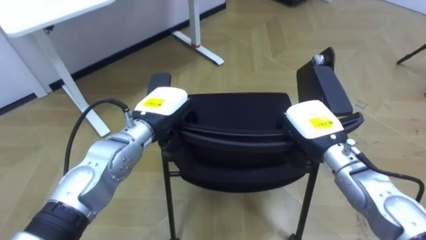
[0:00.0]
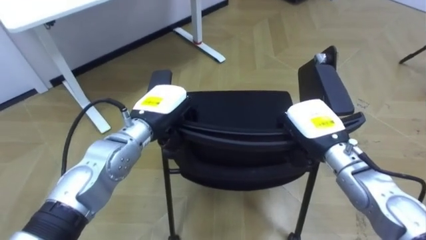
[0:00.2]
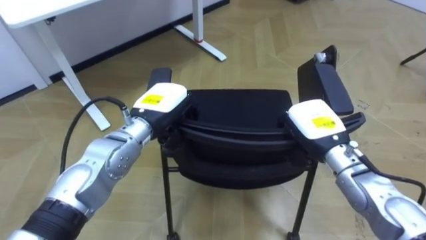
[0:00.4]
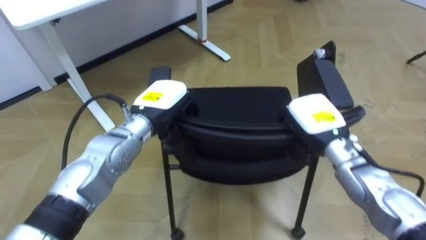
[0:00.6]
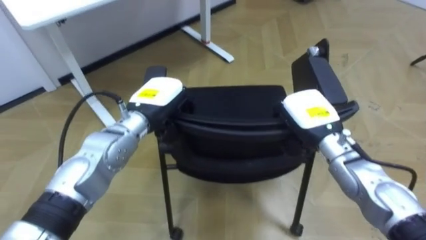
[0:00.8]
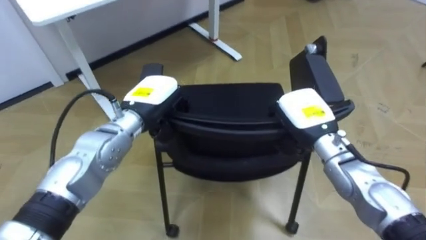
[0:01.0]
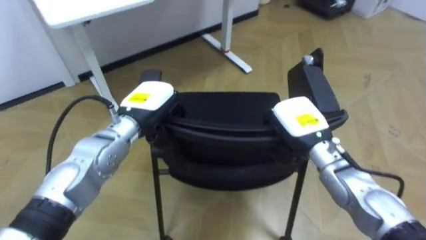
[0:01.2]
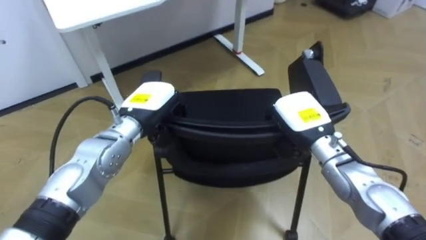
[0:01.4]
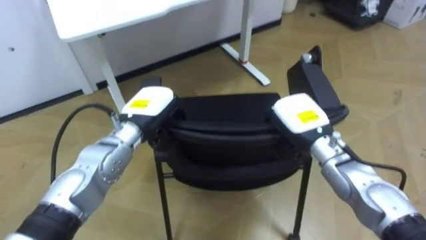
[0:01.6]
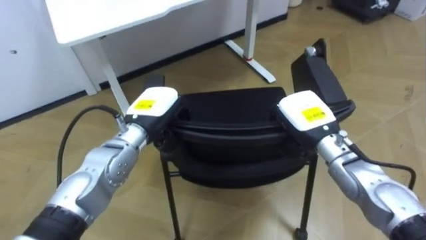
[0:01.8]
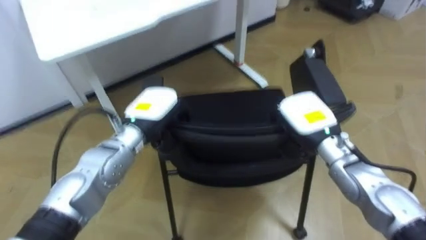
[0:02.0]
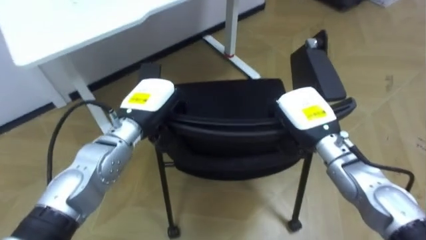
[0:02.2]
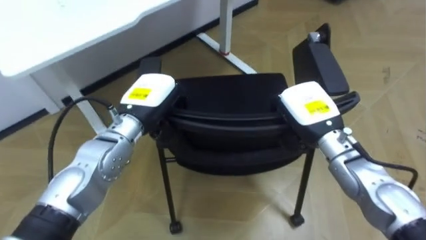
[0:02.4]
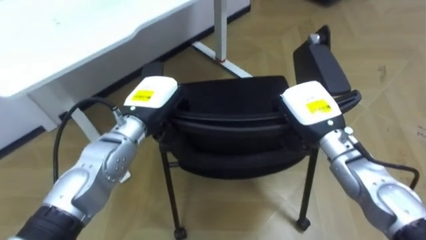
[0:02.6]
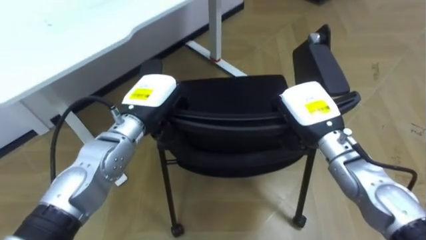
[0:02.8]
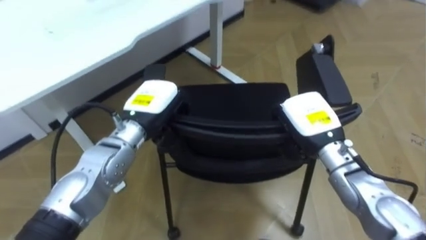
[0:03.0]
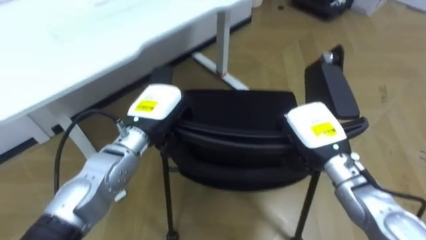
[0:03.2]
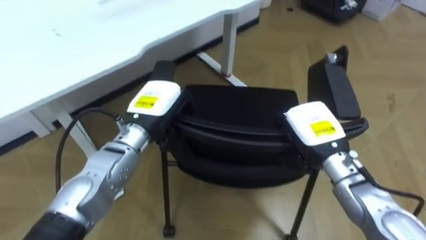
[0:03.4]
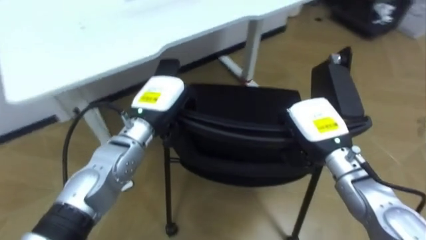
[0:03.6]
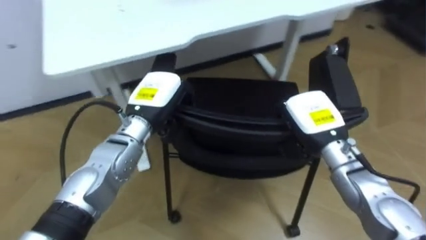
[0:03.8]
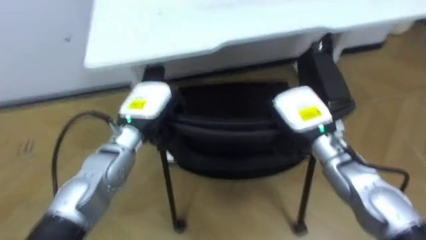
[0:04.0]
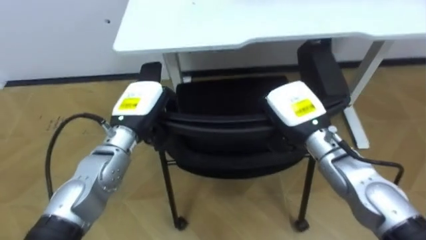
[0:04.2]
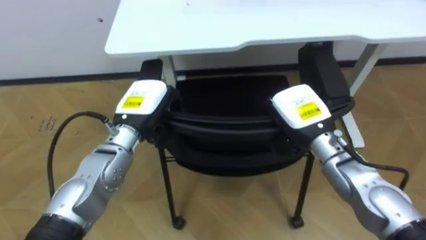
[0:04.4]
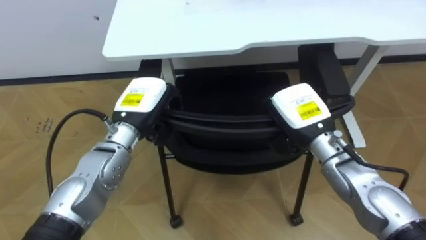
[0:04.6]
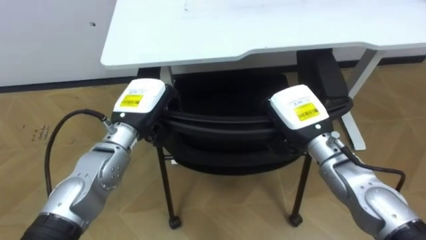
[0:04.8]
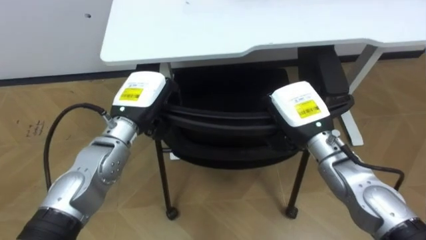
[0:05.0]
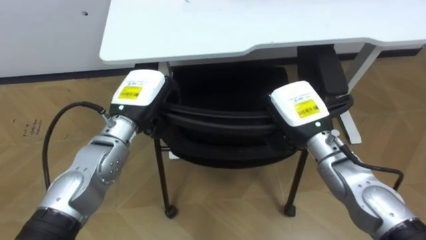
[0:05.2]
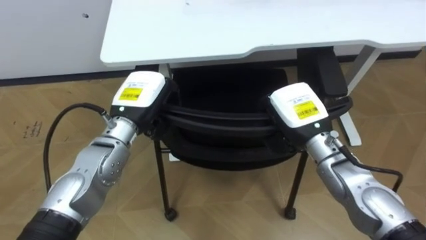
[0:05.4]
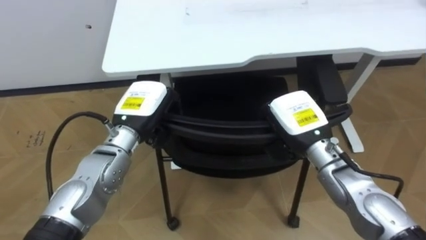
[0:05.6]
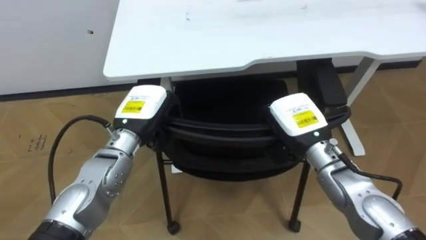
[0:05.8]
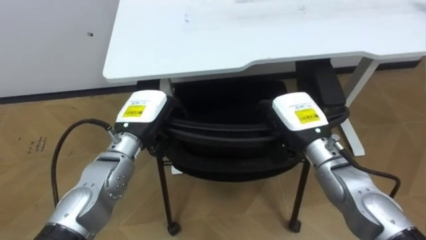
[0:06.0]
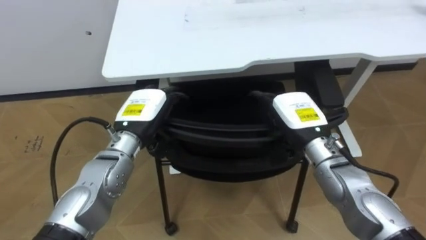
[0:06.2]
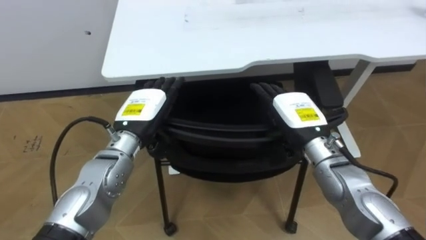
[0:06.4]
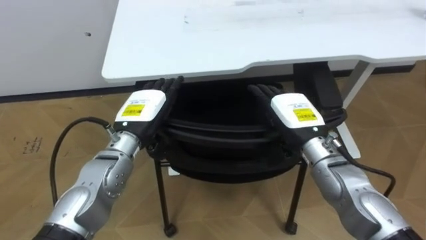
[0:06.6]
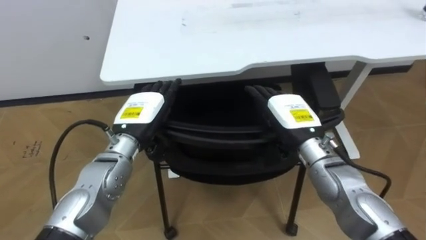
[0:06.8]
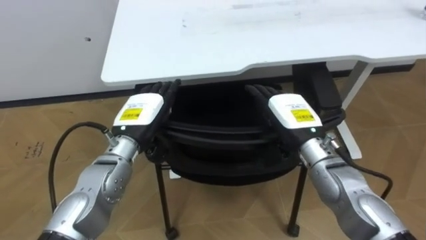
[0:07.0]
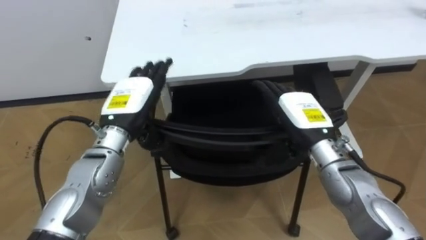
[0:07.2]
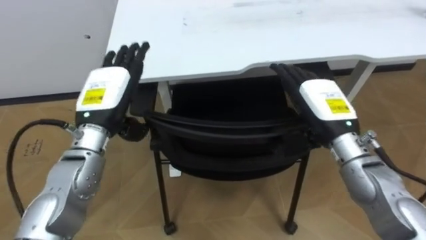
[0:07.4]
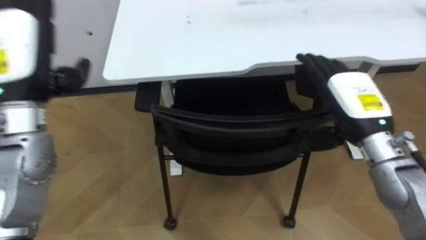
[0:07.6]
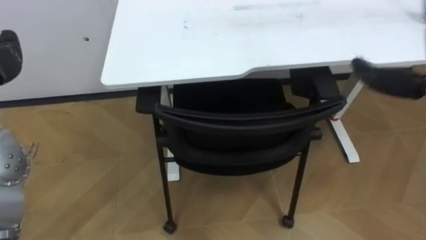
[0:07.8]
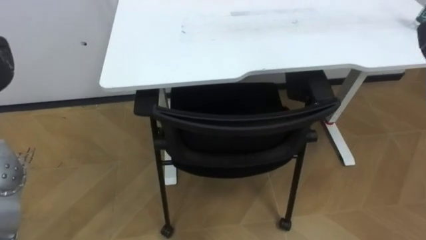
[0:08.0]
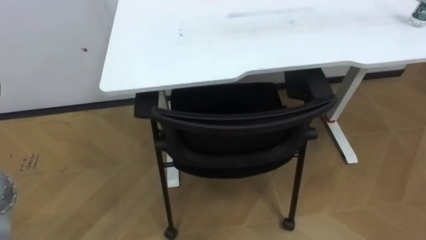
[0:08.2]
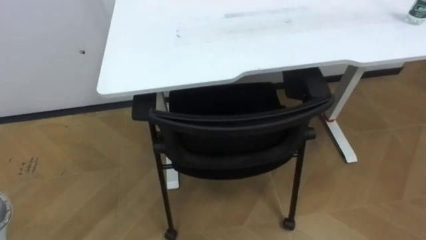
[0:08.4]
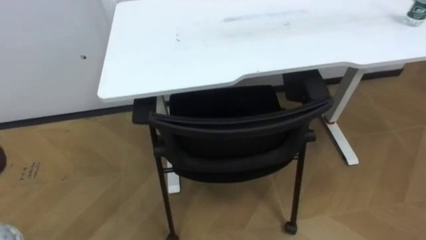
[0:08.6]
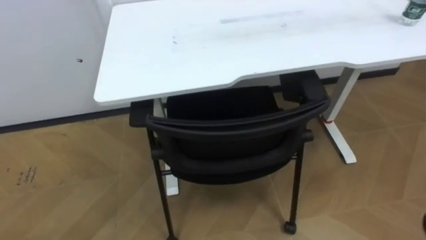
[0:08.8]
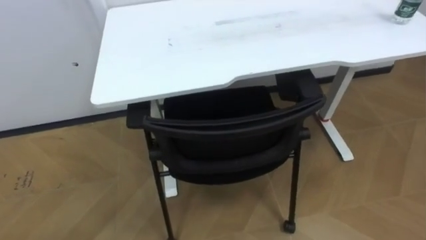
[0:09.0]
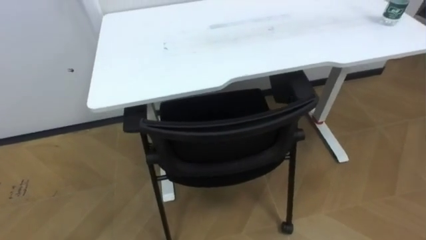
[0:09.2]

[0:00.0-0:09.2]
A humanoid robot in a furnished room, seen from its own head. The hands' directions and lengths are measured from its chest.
Task of the whole recording: Push the chair under the table.
3.0 to 4.6 s: The robot's body swings roughly 40 degrees to its left.
4.6 to 6.2 s: The right hand opens. The left hand opens.
6.2 to 7.6 s: The left hand moves upward and to the left, some 20 cm. Meanwhile the right hand goes about 10 cm to the right and upward.

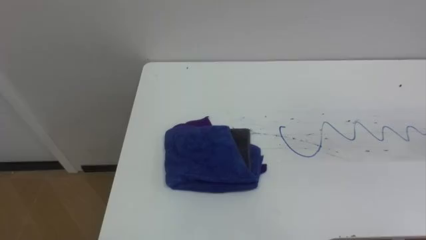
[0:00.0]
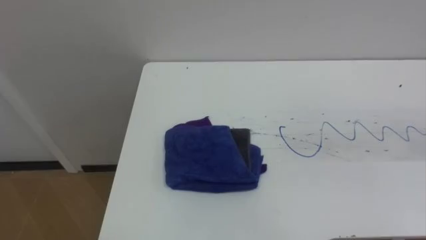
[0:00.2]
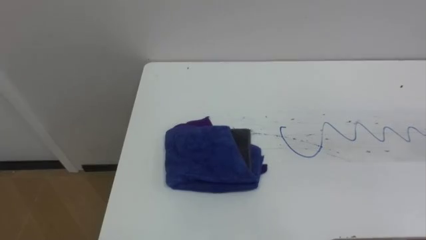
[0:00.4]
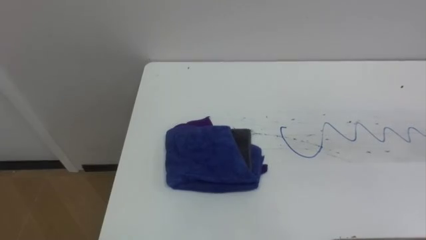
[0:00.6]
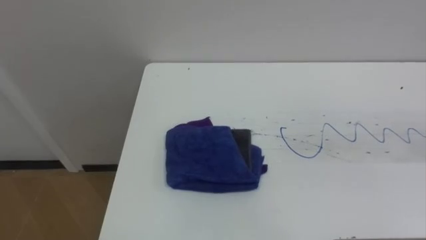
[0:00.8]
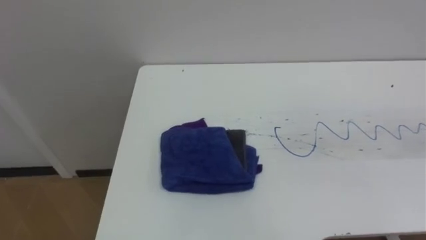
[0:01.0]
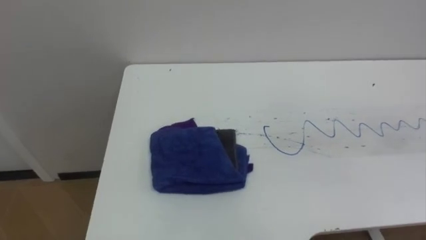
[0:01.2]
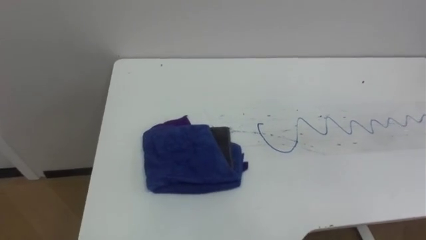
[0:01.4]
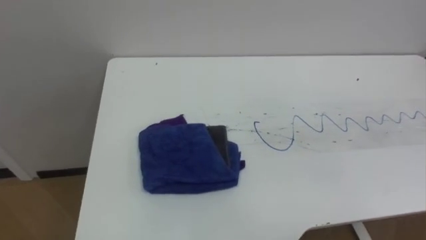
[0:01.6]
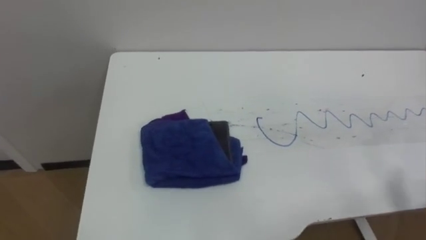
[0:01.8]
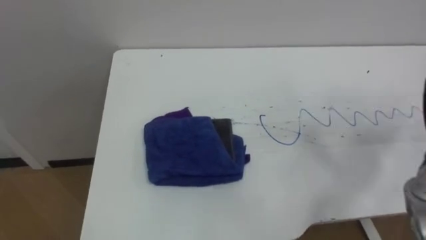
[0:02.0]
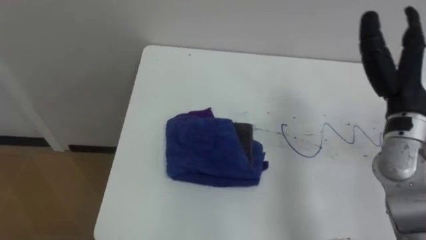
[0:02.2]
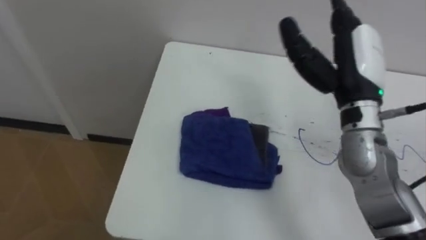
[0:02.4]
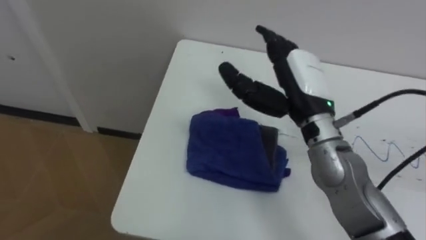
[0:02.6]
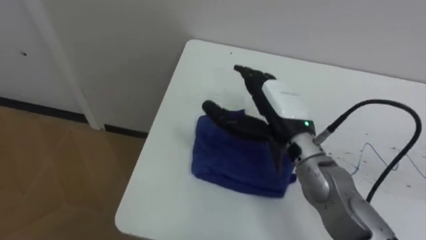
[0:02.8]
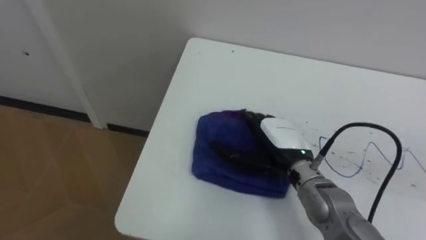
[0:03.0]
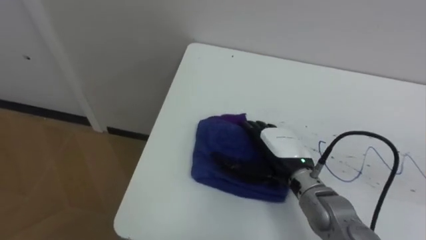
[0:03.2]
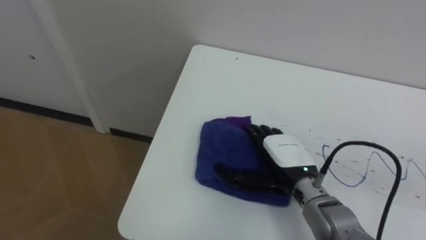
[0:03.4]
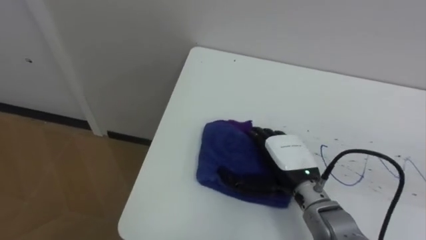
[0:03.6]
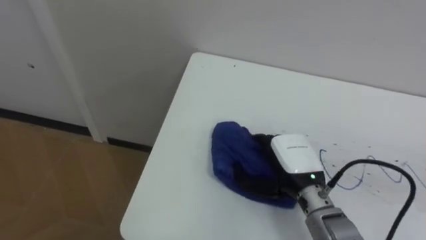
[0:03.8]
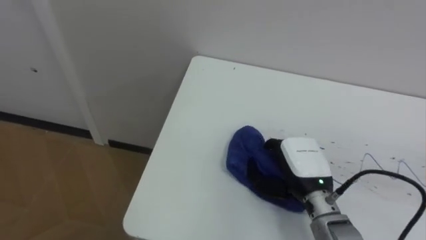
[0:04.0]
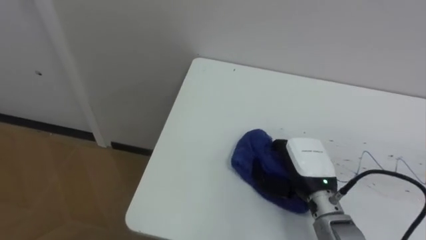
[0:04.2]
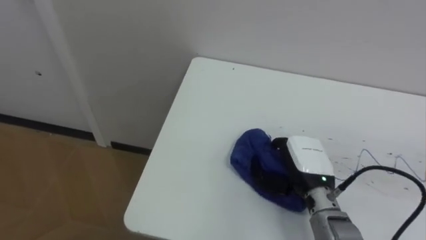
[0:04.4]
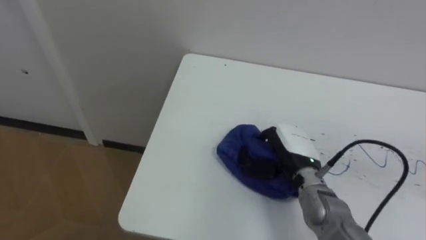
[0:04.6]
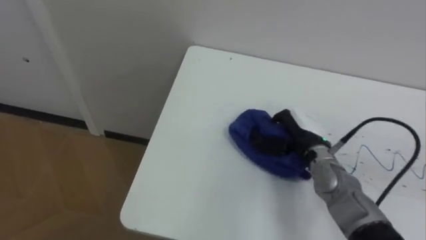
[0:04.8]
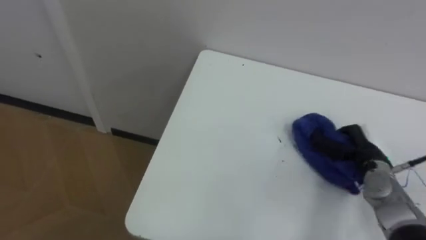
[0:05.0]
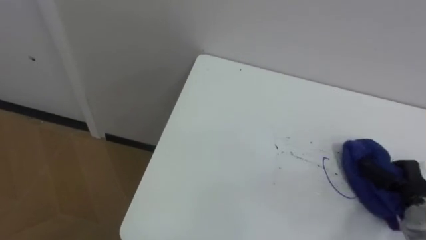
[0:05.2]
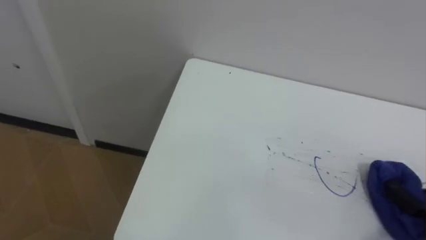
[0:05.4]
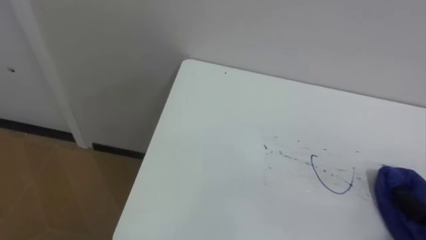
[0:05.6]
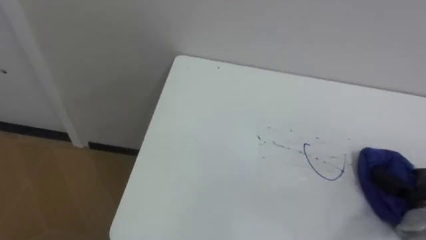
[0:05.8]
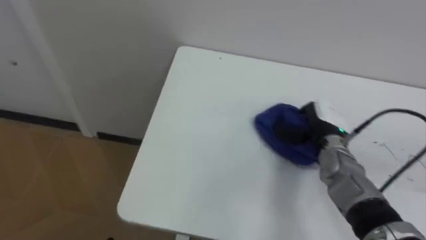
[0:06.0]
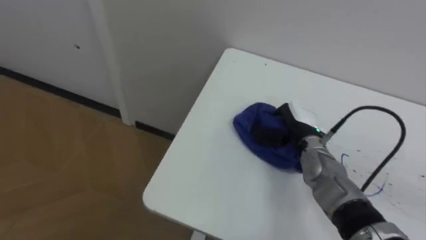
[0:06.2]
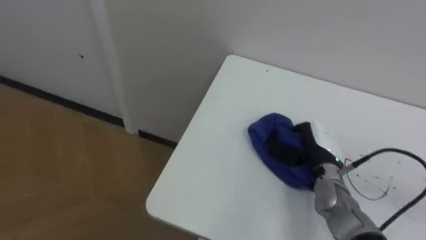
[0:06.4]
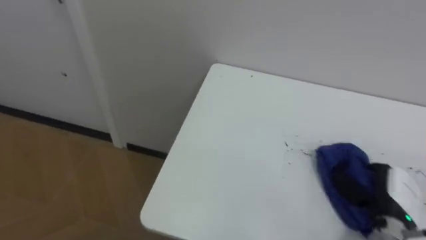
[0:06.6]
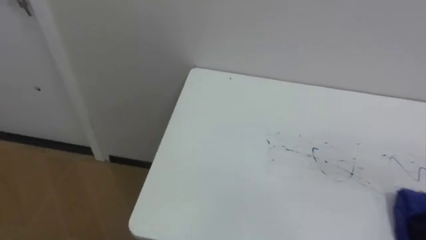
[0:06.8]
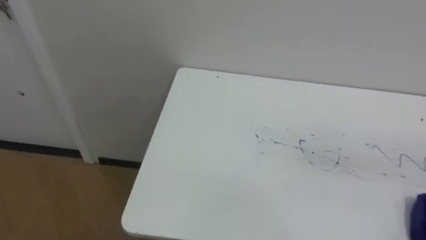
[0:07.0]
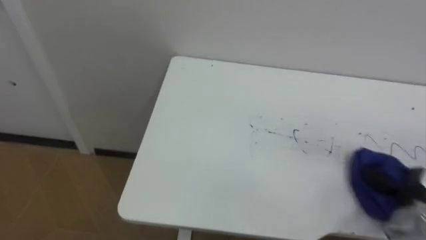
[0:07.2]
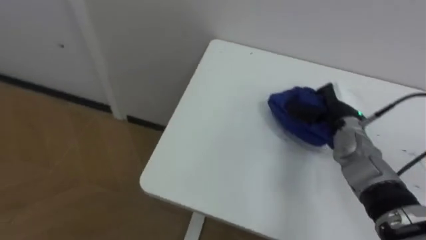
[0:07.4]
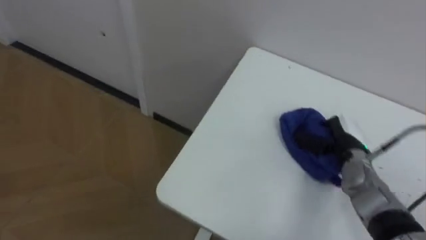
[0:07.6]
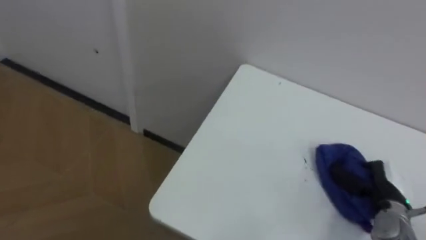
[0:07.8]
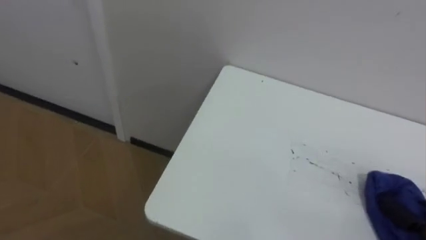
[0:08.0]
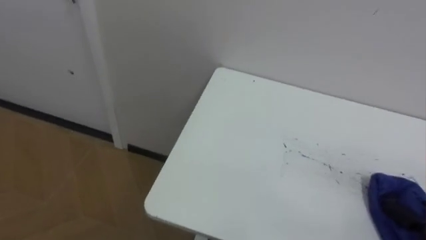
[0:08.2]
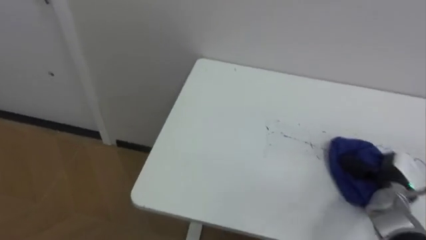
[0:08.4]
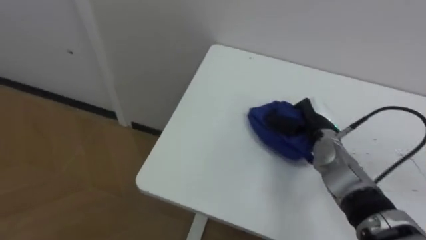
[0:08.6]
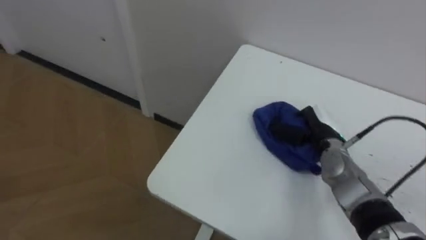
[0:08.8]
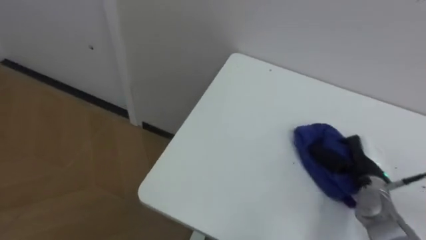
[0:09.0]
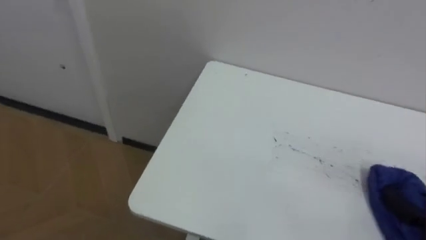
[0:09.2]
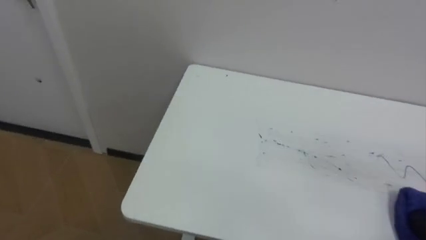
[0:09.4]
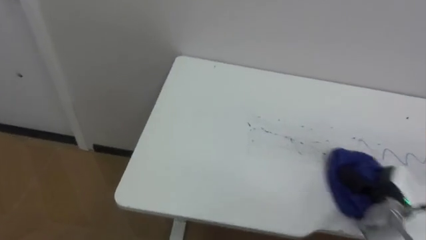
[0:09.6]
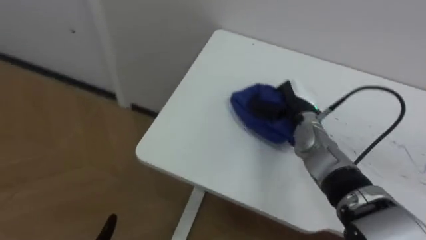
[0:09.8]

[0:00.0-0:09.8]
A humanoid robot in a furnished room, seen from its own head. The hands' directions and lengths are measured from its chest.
Task of the whole recording: Wipe the blue pen marks off the table with the rag.
2.8 to 4.2 s: The right hand travels downward, backward and to the right by about 15 cm, and closes its fingers.
